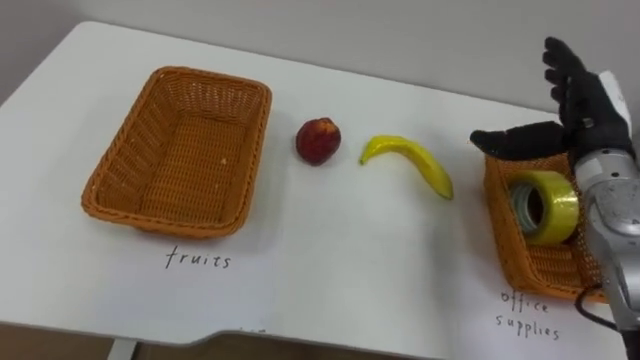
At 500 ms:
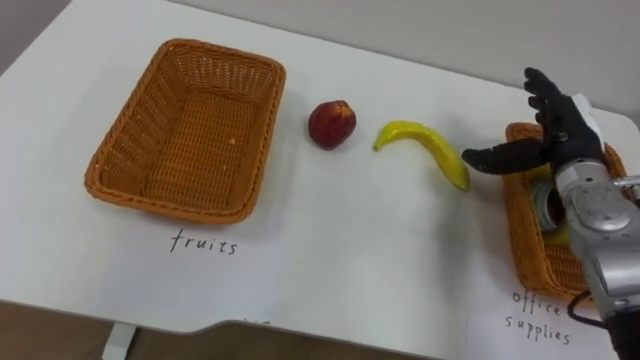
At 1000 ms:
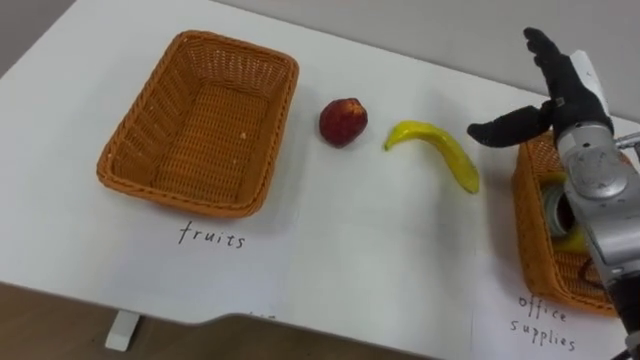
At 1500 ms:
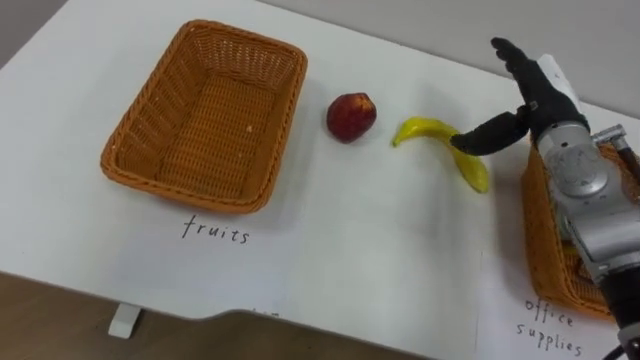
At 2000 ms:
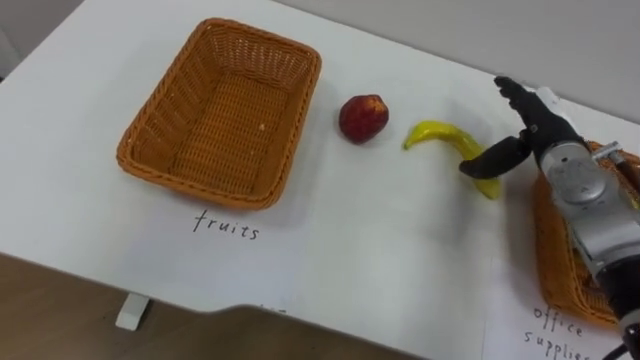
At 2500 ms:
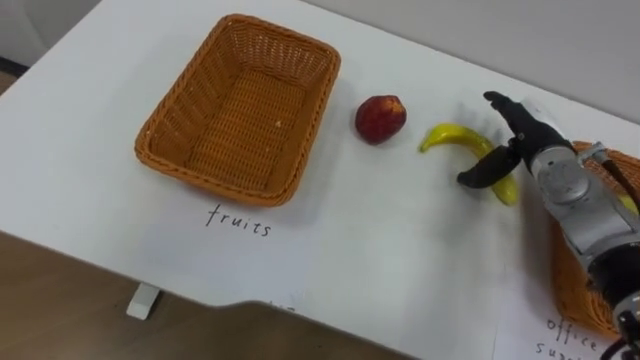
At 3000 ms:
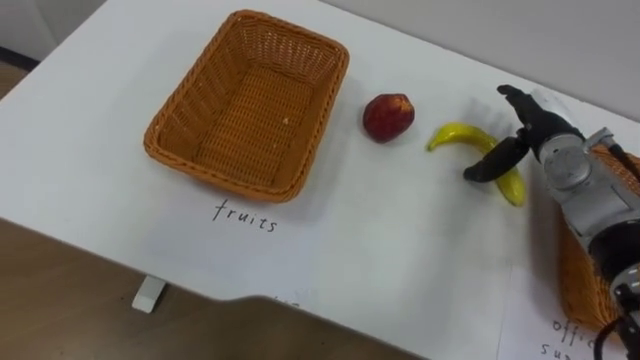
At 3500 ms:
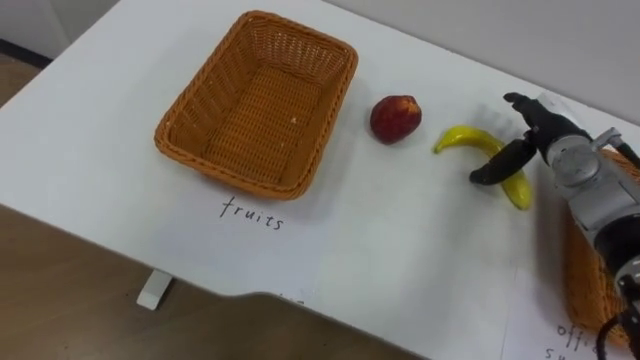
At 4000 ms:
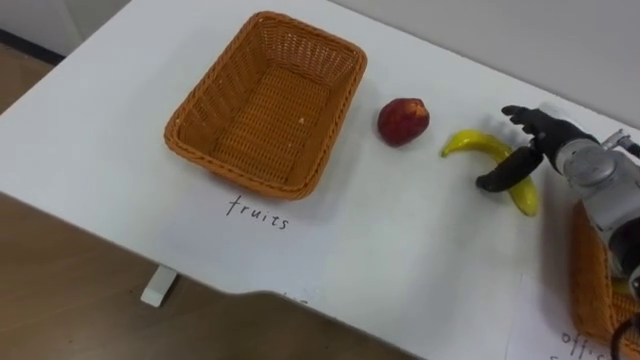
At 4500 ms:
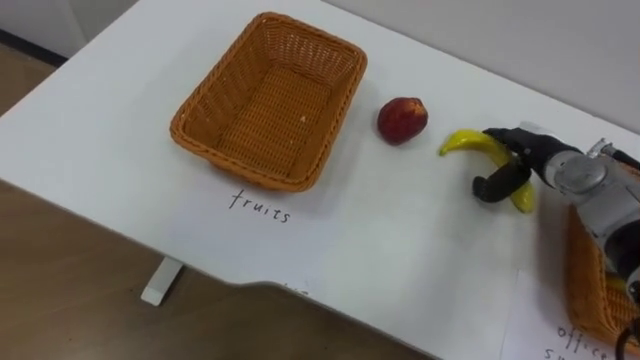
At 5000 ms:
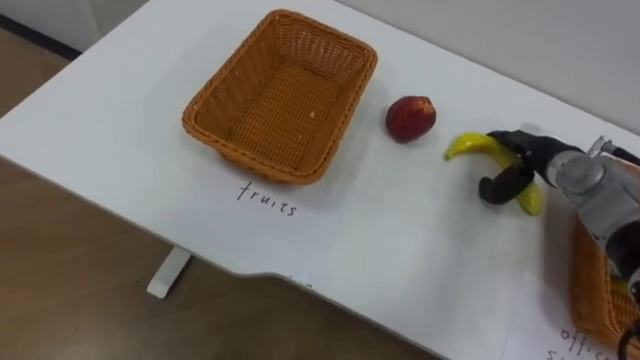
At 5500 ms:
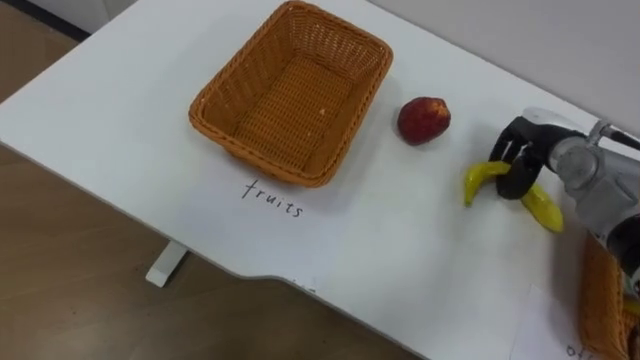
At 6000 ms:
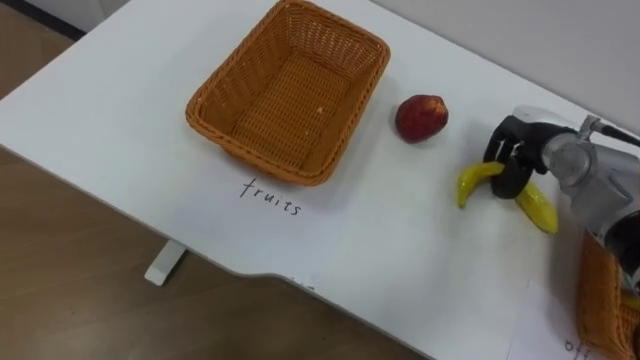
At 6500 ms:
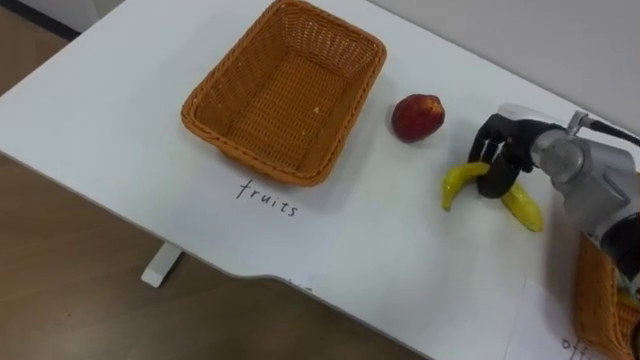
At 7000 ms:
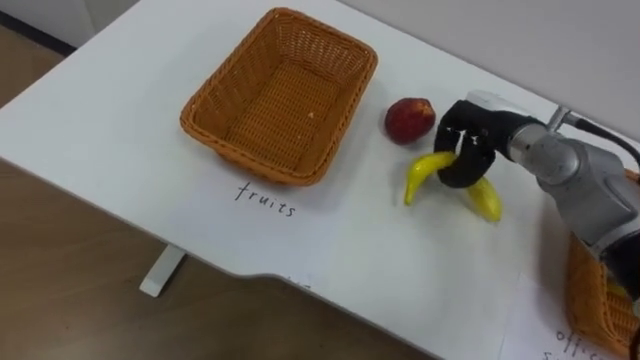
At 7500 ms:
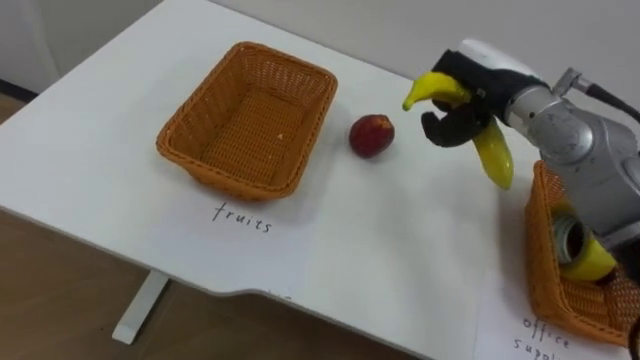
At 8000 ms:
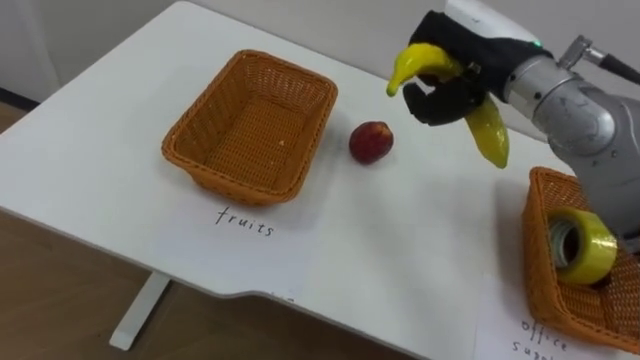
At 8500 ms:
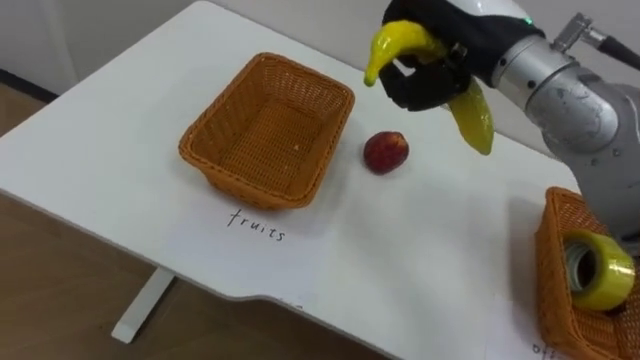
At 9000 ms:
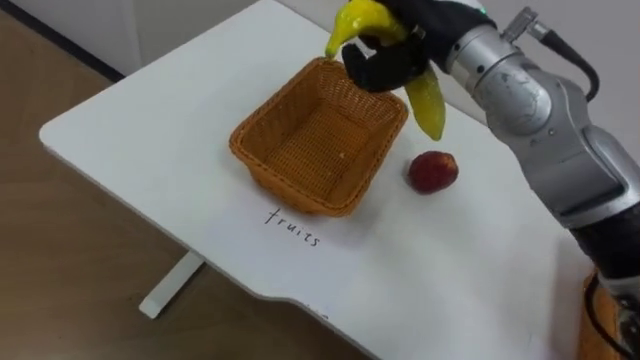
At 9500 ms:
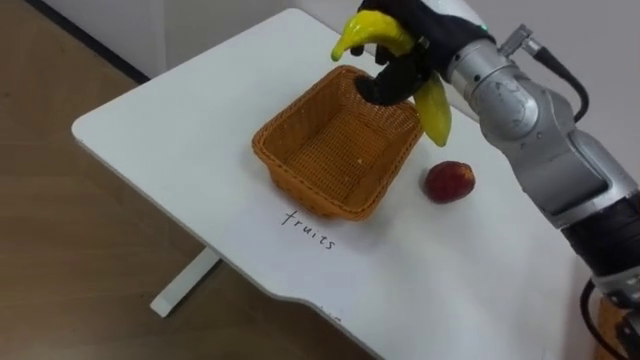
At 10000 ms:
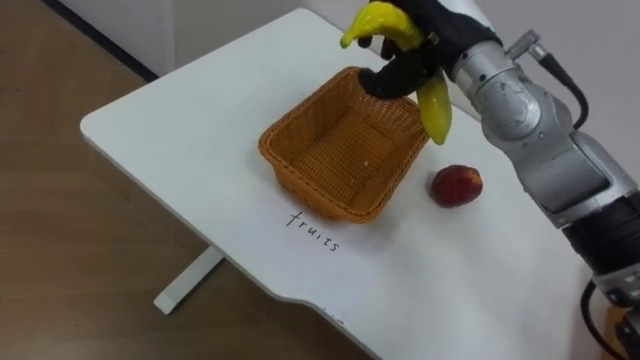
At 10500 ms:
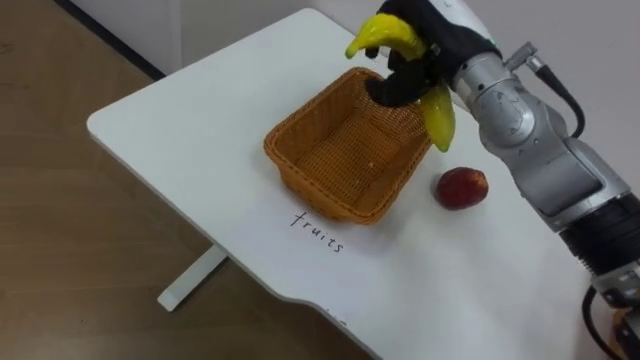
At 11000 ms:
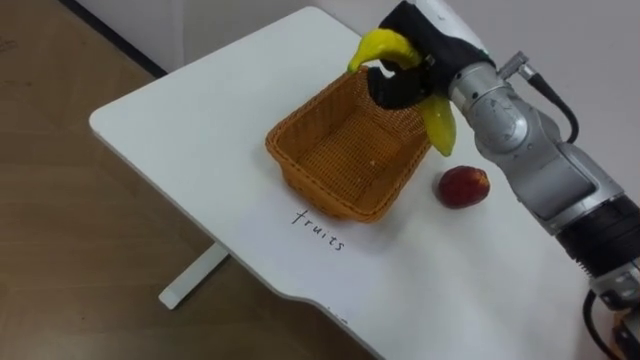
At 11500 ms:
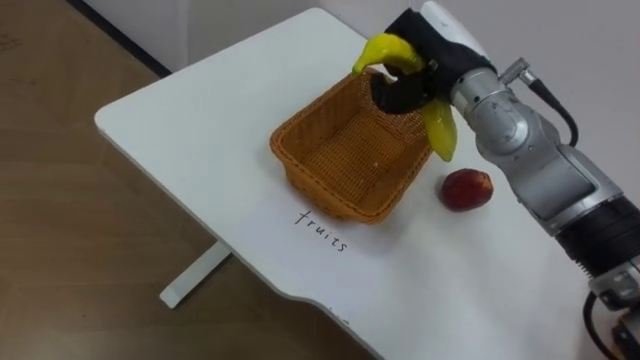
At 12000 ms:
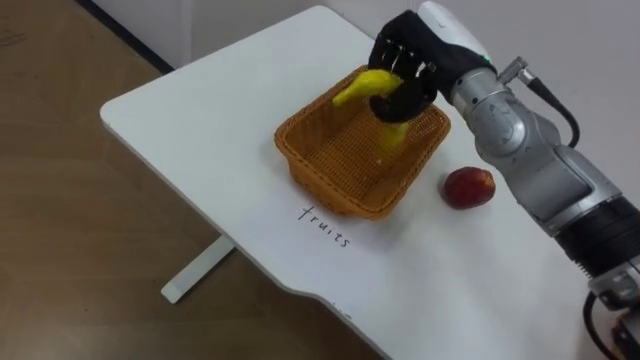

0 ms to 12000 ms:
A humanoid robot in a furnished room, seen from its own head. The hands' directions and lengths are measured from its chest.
Task of the whole recording: Separate the items on the table and place them into the two baskets.
0 ms to 2000 ms: The right hand changes place by about 5 cm.
4000 ms to 6000 ms: The right hand closes up.
6000 ms to 8000 ms: The right hand shifts approximately 20 cm upward and to the left.

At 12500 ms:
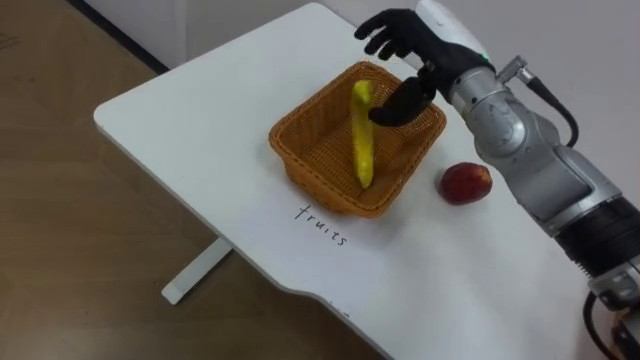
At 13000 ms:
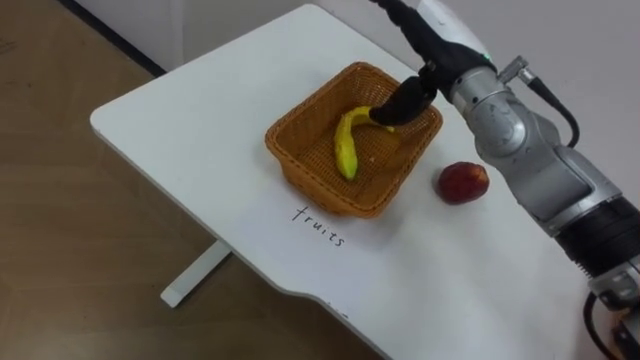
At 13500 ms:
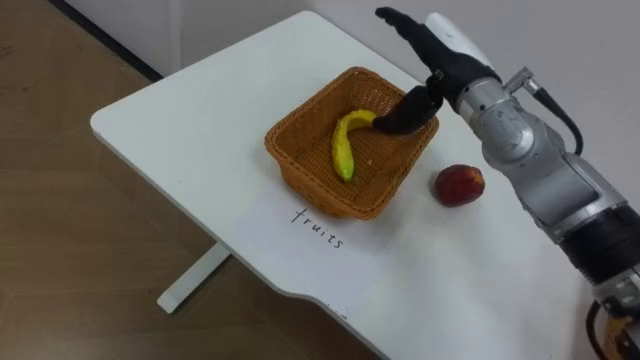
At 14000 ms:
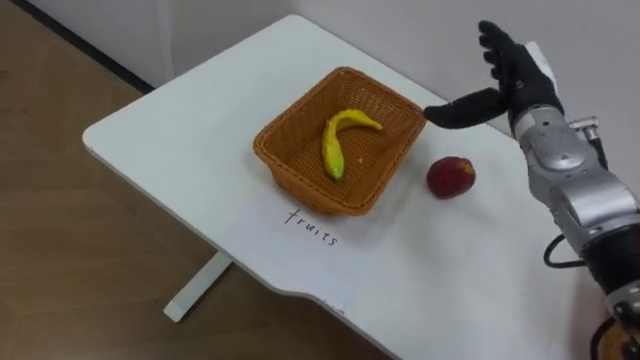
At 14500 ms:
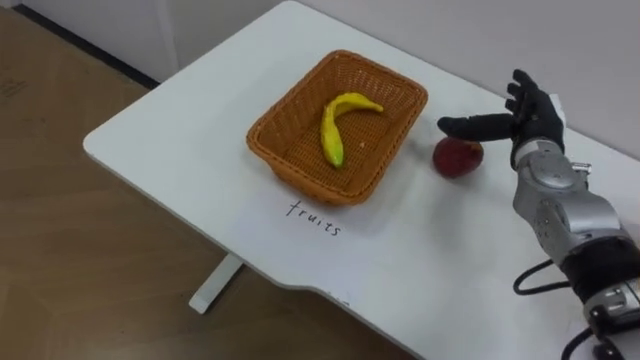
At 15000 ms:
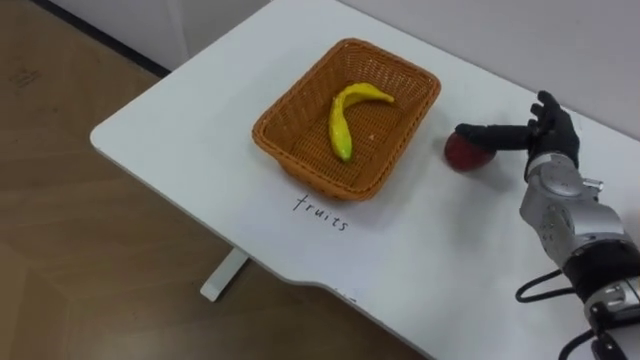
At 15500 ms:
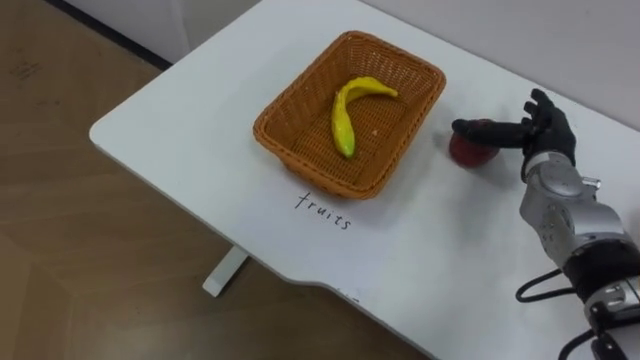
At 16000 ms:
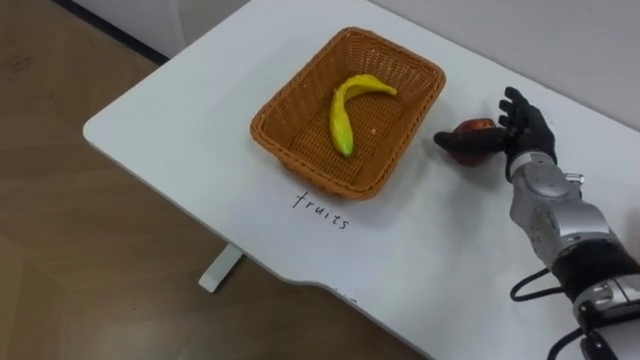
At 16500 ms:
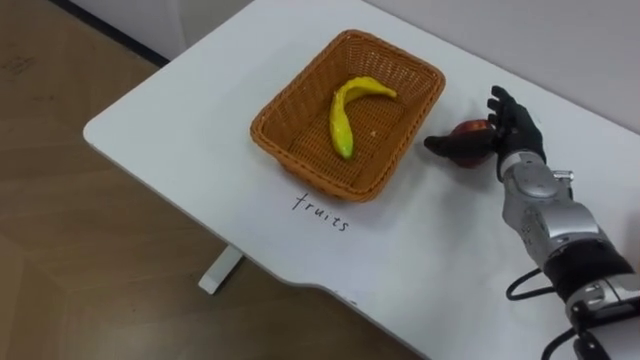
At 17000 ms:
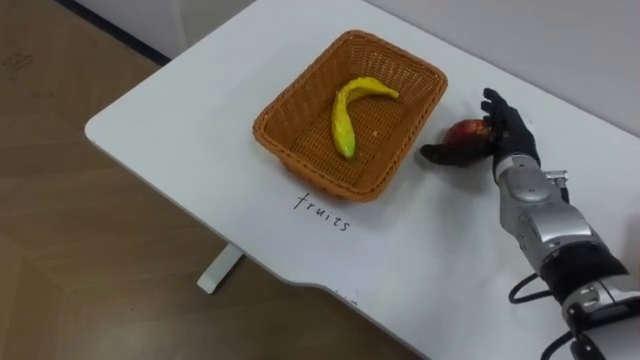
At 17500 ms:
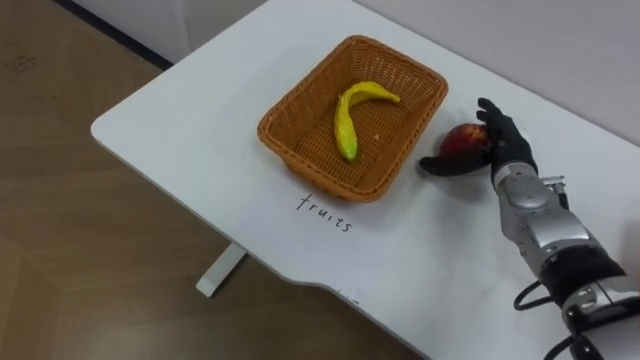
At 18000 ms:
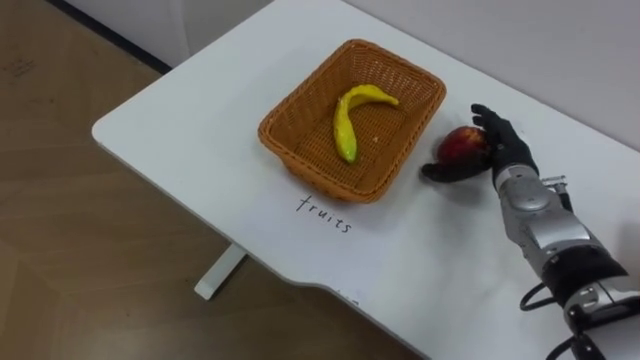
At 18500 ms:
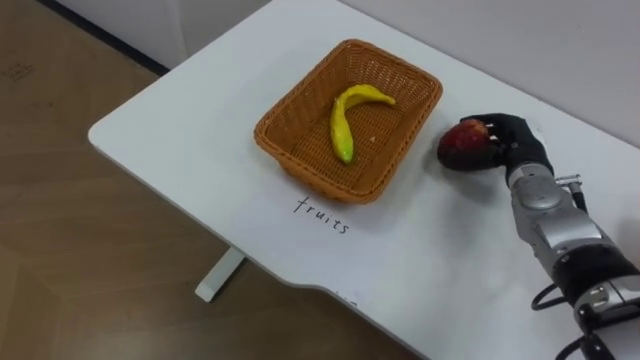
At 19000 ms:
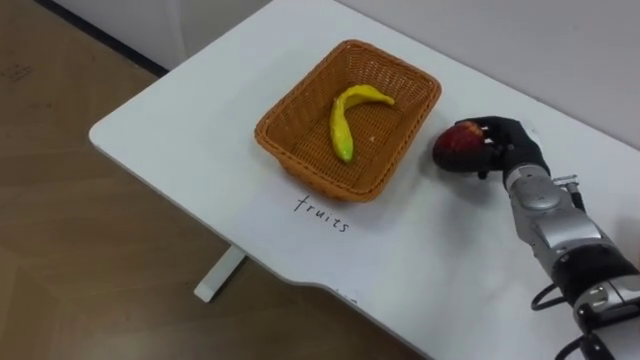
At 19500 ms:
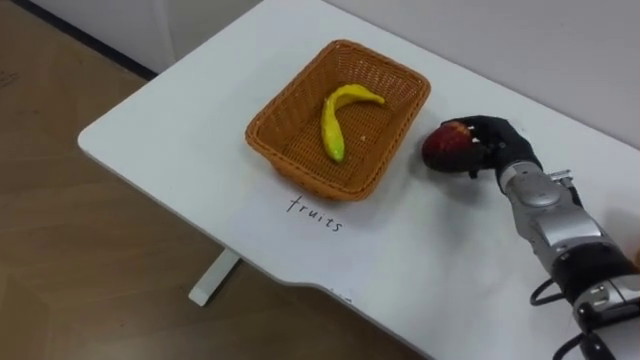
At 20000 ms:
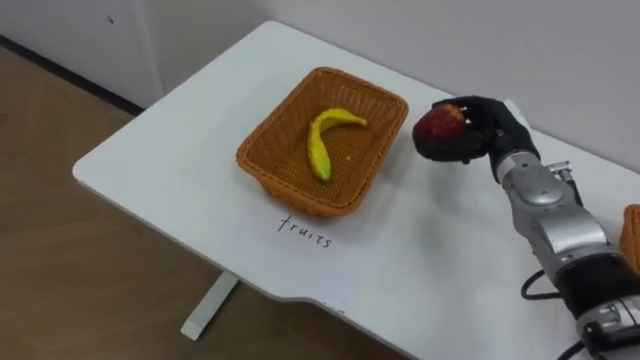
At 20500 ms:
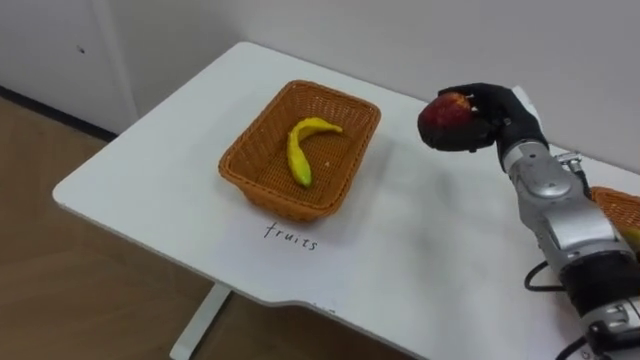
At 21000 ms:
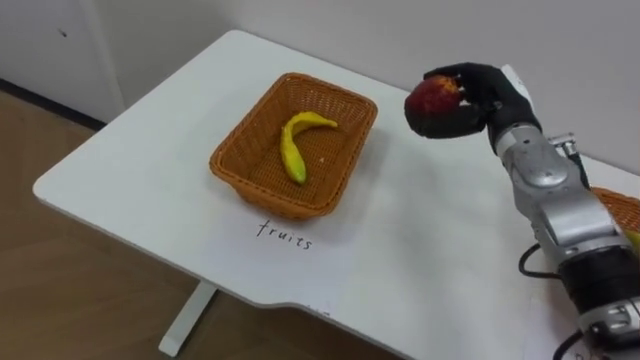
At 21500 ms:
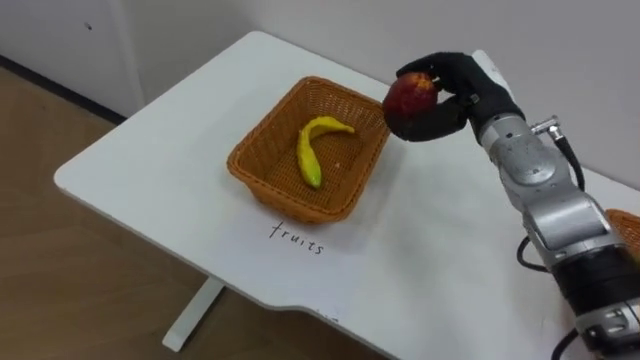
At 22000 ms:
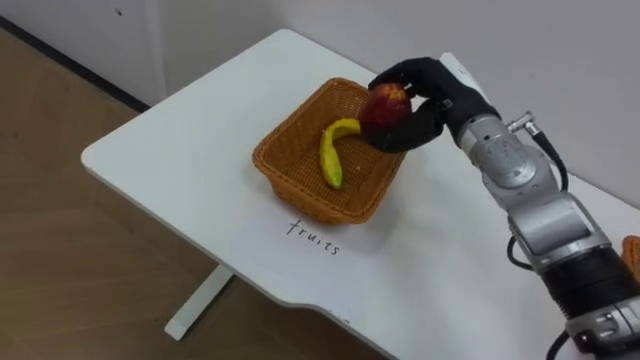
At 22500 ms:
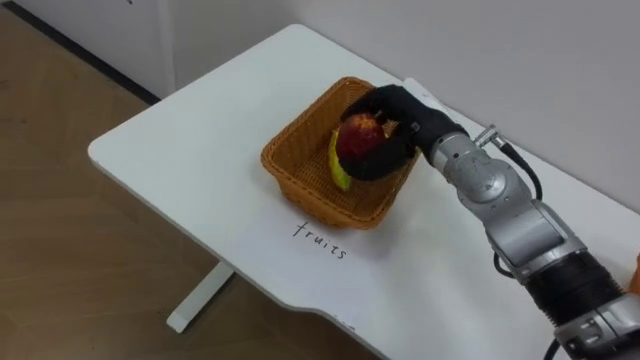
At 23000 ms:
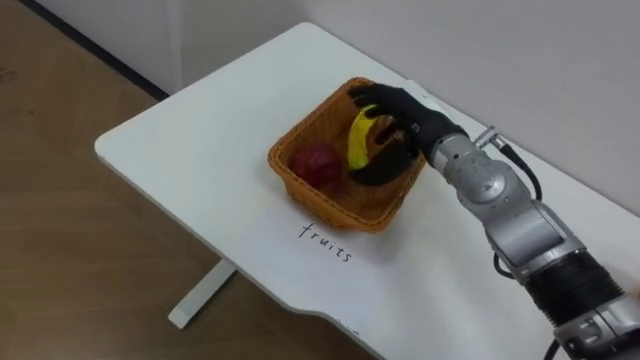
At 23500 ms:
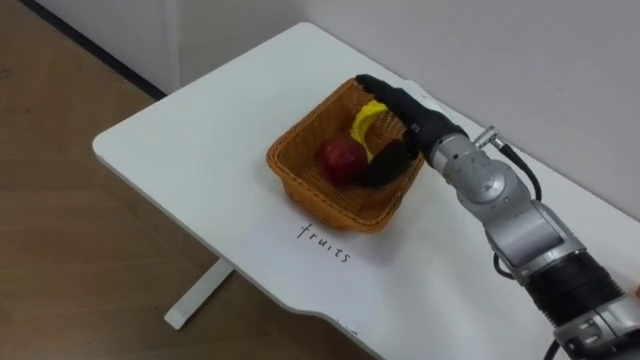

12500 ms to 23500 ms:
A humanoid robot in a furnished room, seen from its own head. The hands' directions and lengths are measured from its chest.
Task of the whole recording: Separate the items on the table and place them into the two baskets.
12500 ms to 14500 ms: The right hand shifts approximately 20 cm to the right and downward.
18000 ms to 20000 ms: The right hand closes its fingers.
20000 ms to 21500 ms: The right hand heads upward, covering some 5 cm.
21500 ms to 23500 ms: The right hand heads to the left, covering about 5 cm, and opens its fingers.
